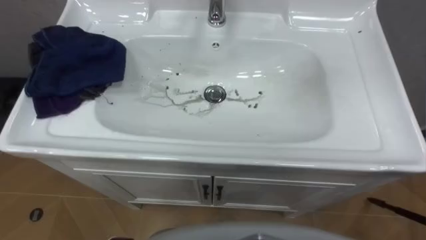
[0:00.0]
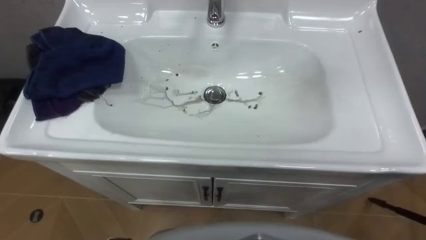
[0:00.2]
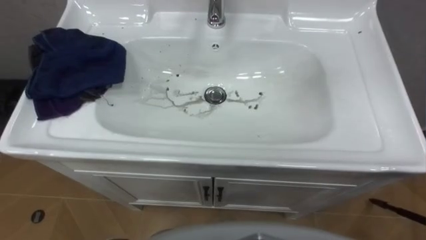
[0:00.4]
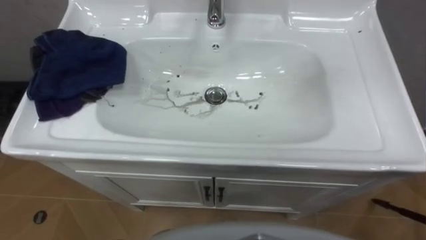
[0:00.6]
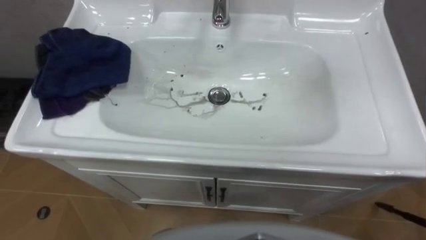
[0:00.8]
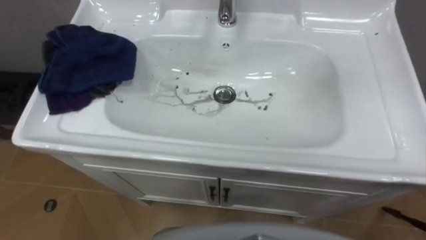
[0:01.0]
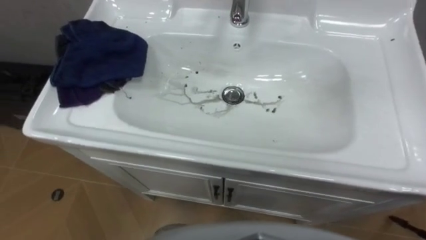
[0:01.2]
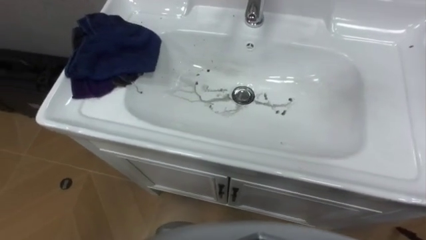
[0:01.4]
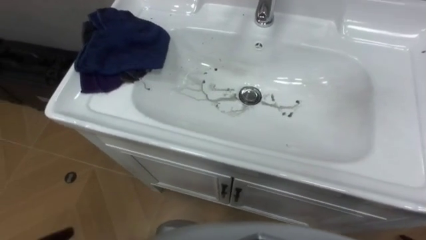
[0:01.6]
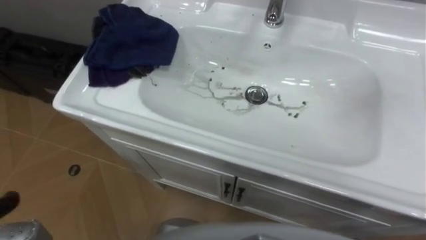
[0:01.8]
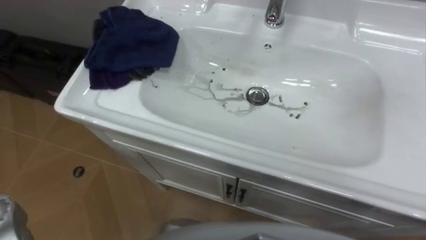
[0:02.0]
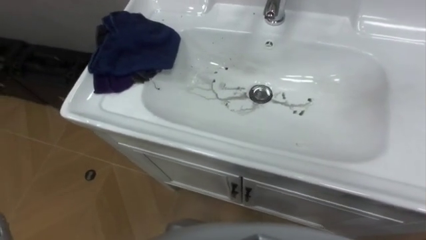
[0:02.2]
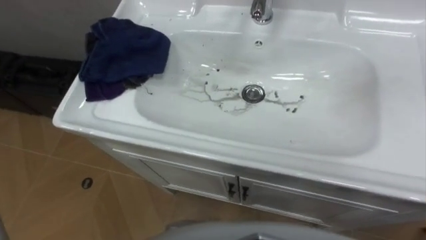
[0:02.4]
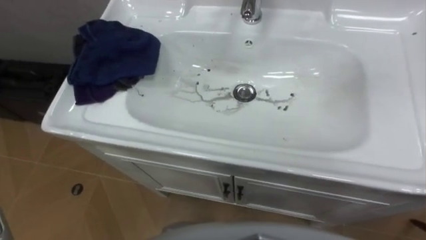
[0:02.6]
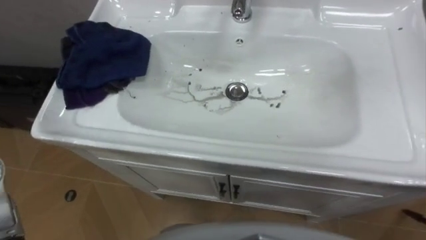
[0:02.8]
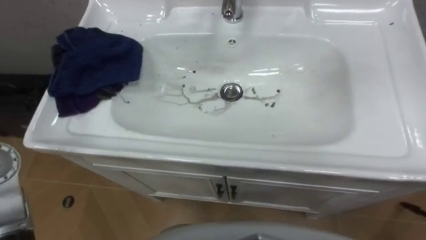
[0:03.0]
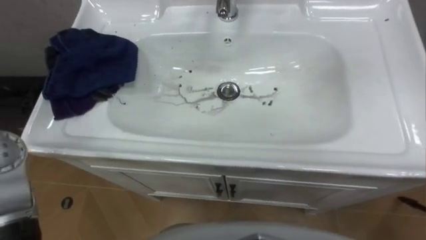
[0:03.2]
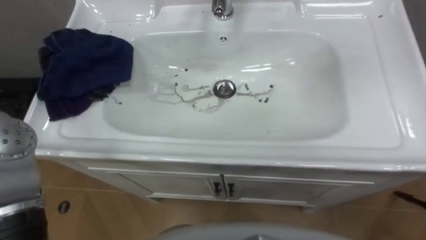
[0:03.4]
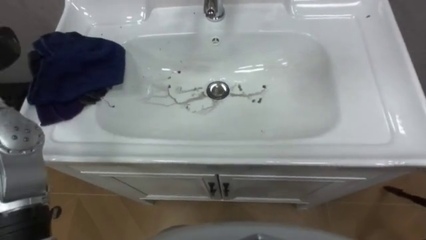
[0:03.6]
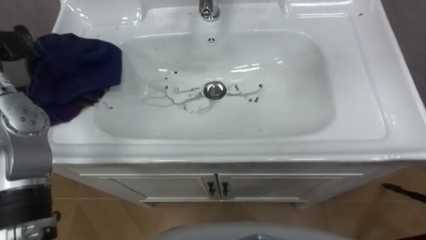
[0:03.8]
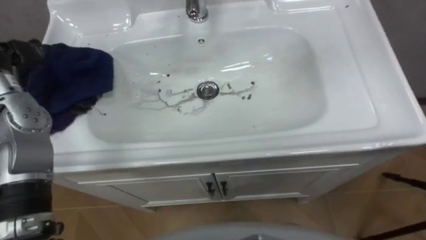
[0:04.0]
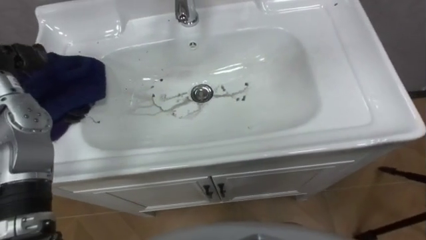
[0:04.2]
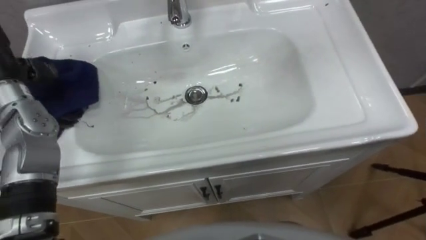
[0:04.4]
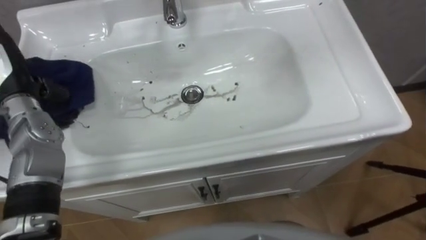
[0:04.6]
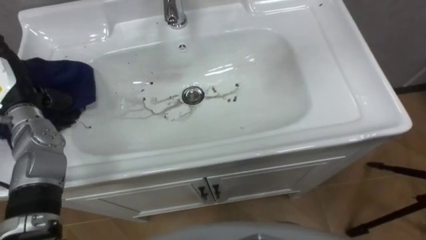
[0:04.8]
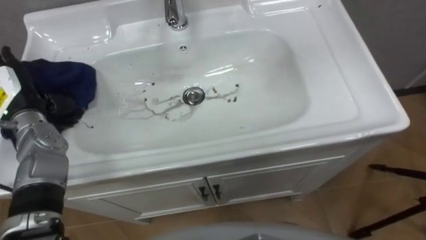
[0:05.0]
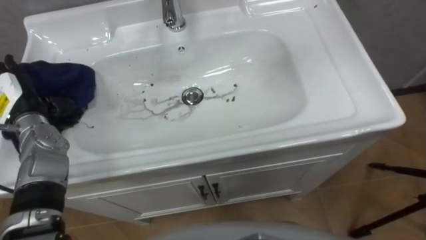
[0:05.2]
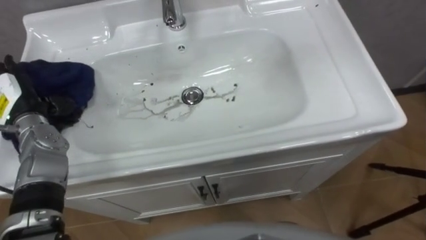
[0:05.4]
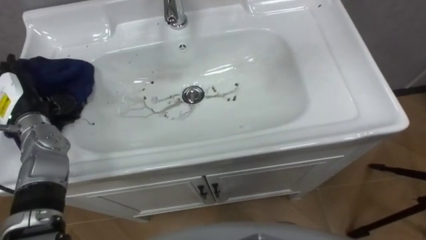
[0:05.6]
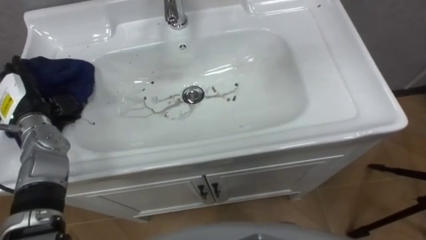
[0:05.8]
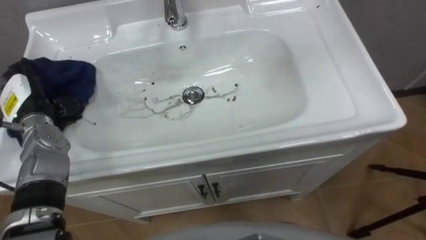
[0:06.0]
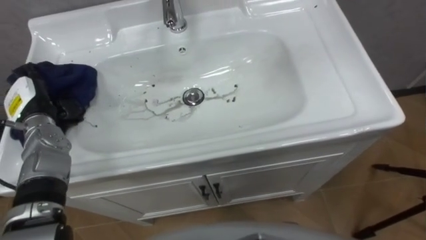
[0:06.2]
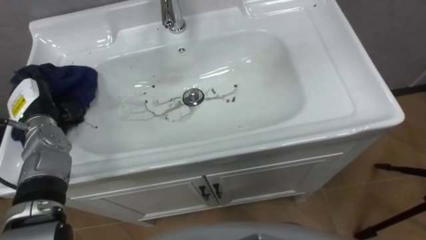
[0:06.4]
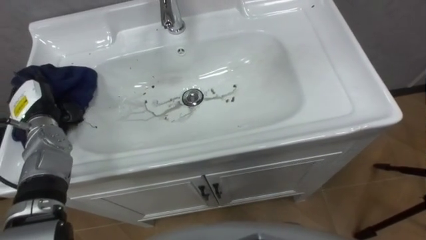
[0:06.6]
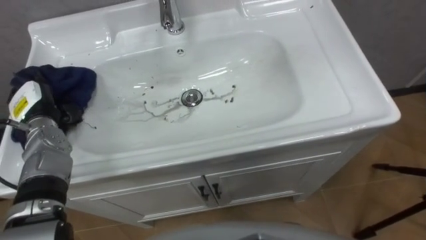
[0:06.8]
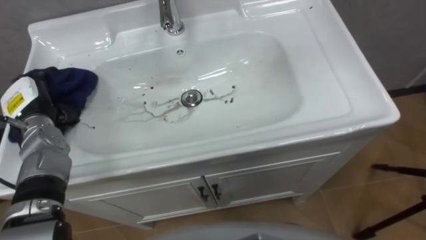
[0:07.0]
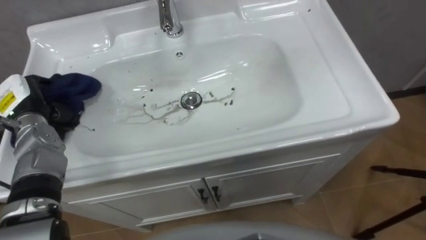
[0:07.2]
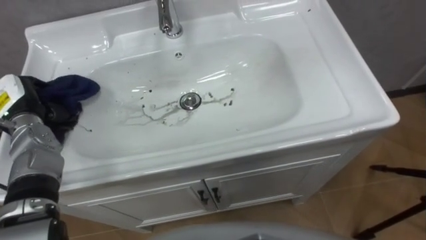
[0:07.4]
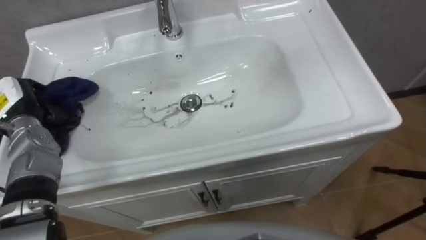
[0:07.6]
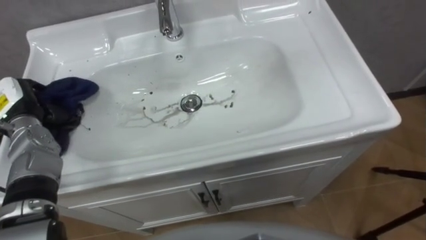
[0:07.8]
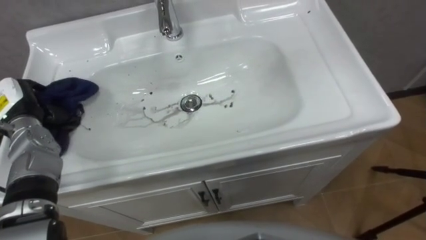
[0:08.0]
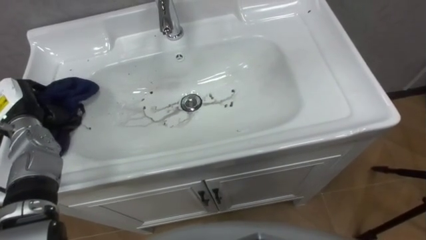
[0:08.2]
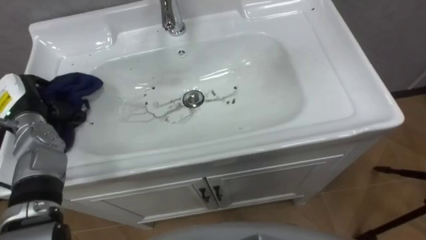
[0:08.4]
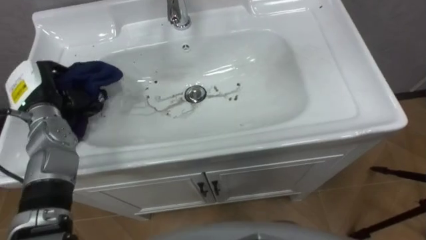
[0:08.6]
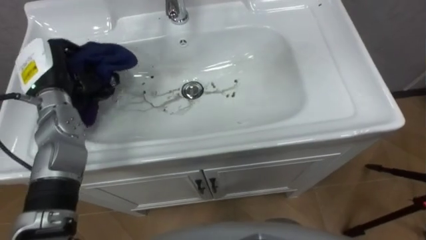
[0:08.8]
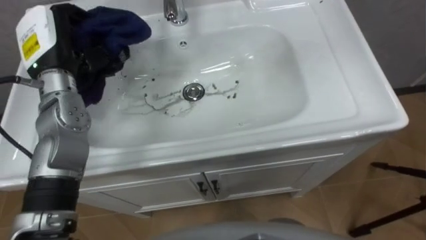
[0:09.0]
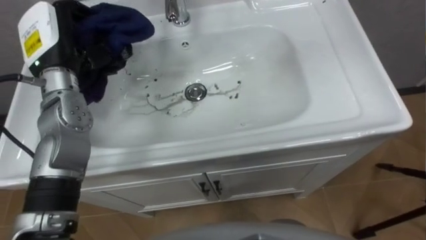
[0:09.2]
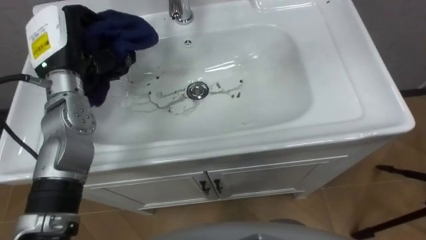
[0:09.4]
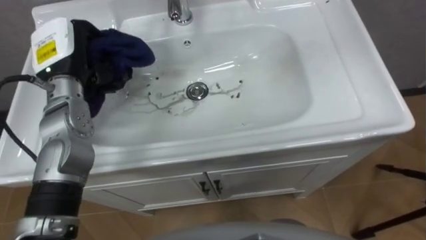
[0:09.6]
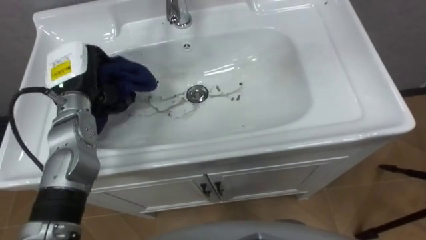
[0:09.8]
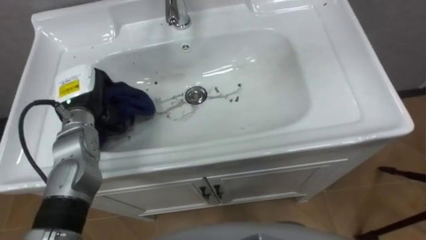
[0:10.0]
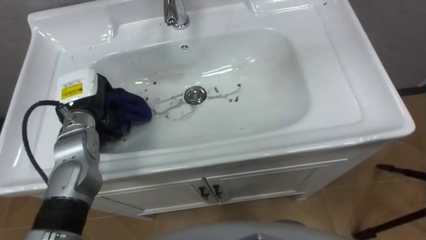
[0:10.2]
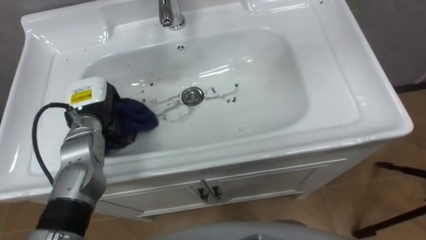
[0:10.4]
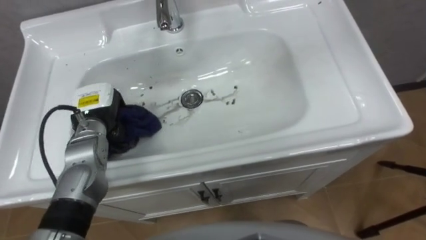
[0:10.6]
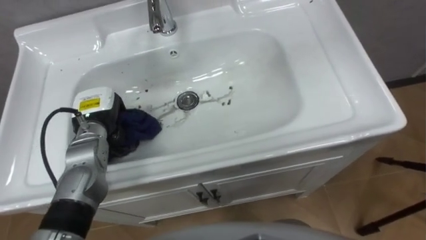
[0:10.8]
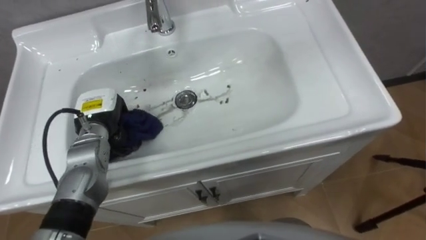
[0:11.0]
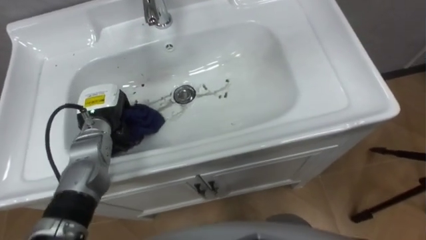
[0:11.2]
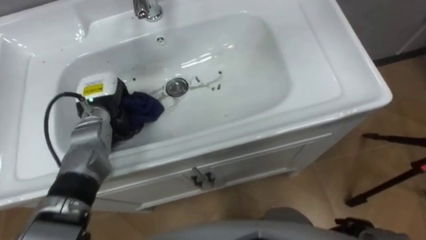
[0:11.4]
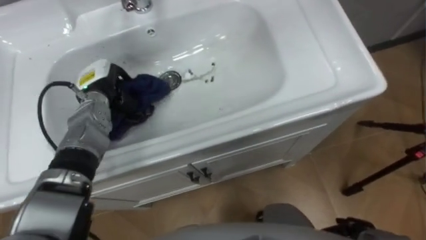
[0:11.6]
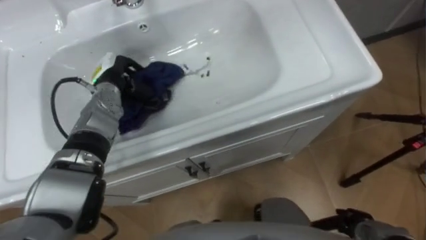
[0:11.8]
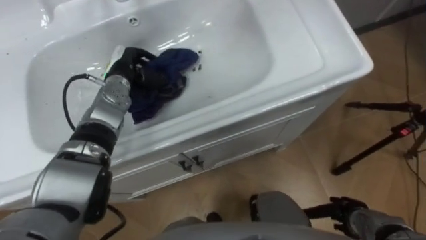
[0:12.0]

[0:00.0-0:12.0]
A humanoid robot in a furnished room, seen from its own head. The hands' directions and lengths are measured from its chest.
Task of the whole recording: Use the cloth on the right to wipe away the black stain in the sink.
0:06.0 to 0:07.6: The left hand closes.
0:07.6 to 0:09.0: The left hand travels upward, to the right and forward by approximately 15 cm.
0:09.0 to 0:10.4: The left hand moves downward, roughly 10 cm.
0:10.4 to 0:12.0: The left hand shifts about 10 cm forward and to the right.

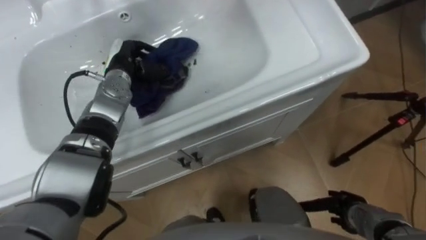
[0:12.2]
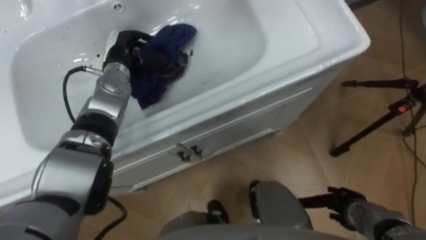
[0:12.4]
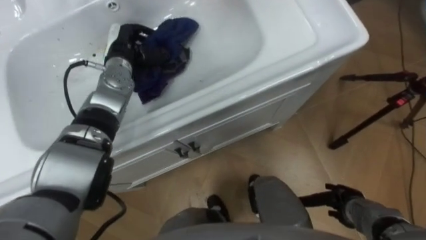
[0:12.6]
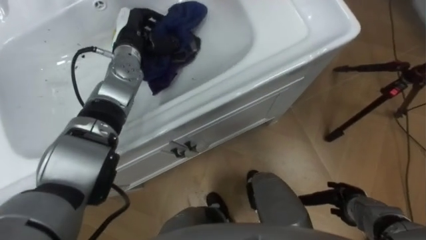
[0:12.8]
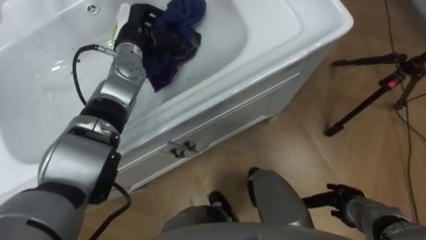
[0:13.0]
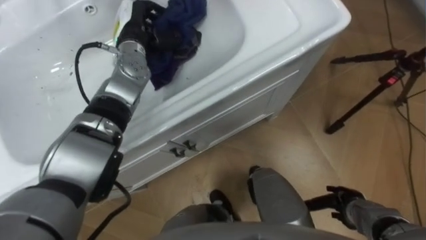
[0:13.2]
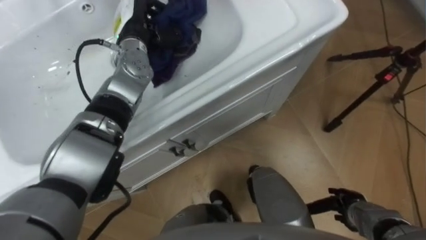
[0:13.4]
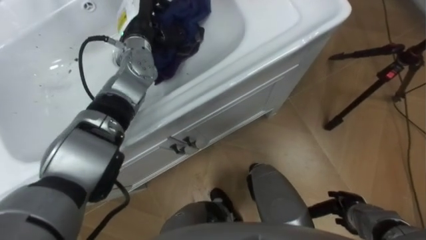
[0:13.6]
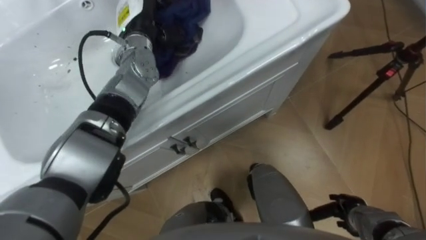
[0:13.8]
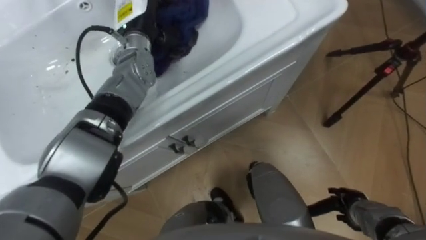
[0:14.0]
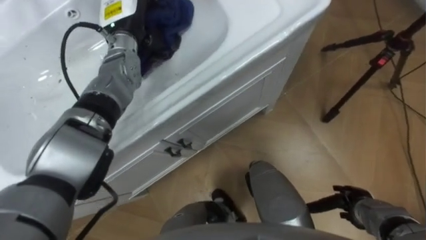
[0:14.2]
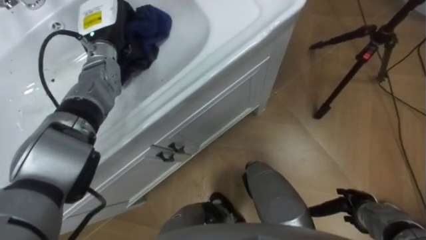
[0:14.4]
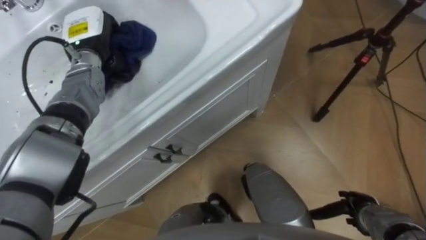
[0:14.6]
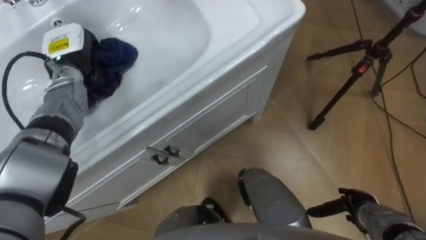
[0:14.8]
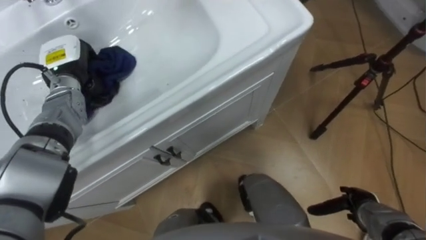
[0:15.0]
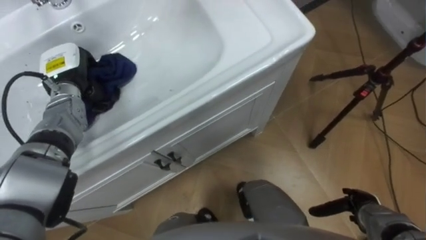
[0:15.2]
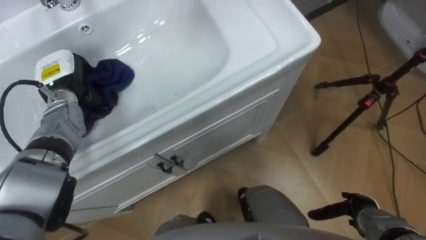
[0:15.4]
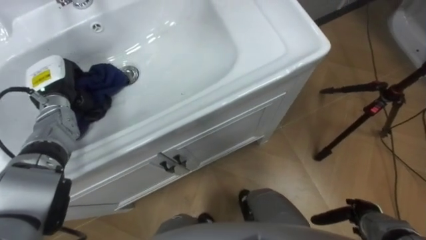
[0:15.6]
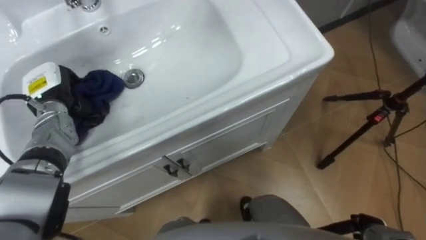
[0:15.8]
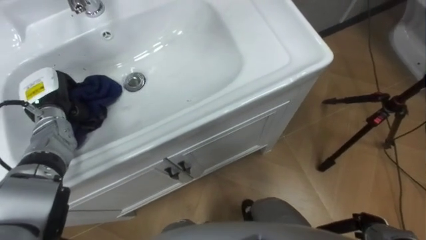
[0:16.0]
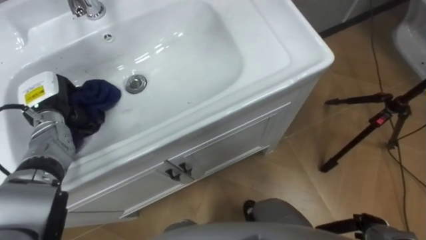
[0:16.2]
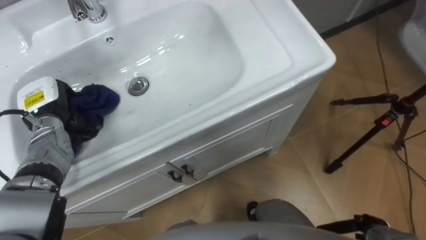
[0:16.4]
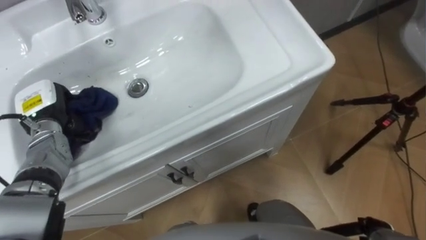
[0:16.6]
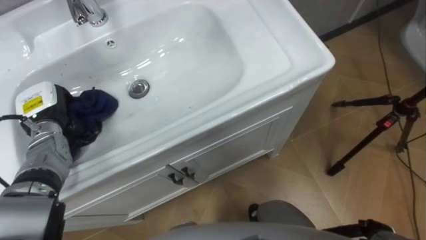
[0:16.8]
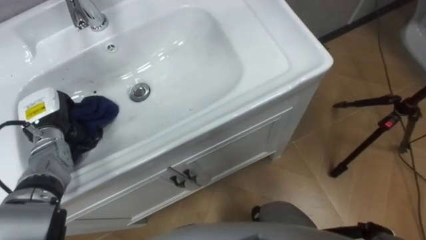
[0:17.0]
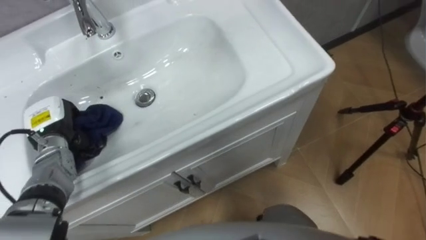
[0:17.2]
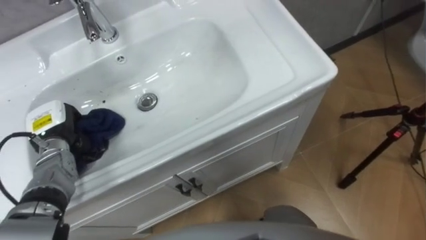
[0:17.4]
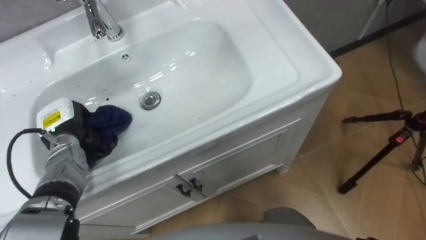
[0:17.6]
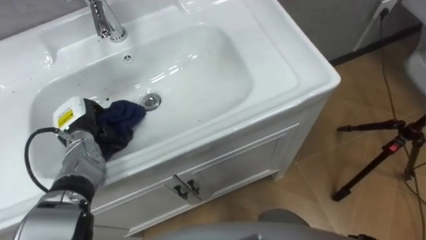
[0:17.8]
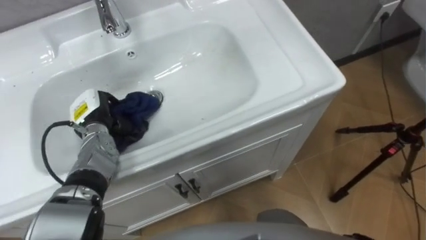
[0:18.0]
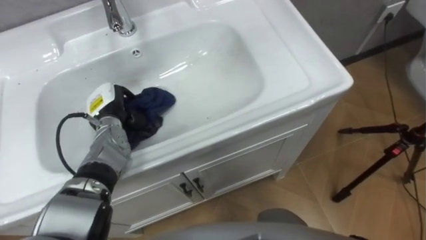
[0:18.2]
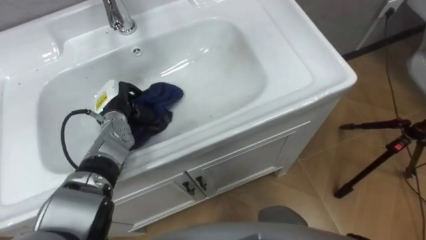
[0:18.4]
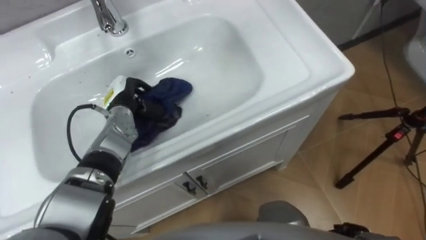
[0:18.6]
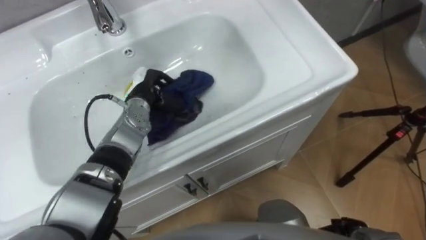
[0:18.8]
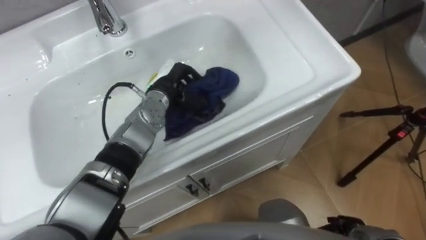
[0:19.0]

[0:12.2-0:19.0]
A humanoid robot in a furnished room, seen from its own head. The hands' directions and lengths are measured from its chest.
Task of the whole recording: Use the cloth on the right to wipe away the black stain in the sink.
0:12.2 to 0:13.6: The left hand is displaced upward and to the right by approximately 10 cm.
0:13.6 to 0:15.0: The left hand goes some 15 cm to the left.
0:15.0 to 0:16.2: The left hand moves backward, roughly 5 cm.
0:16.2 to 0:17.6: The left hand ends up about 5 cm from where it was.
0:17.6 to 0:19.0: The left hand is displaced to the right by some 25 cm.
